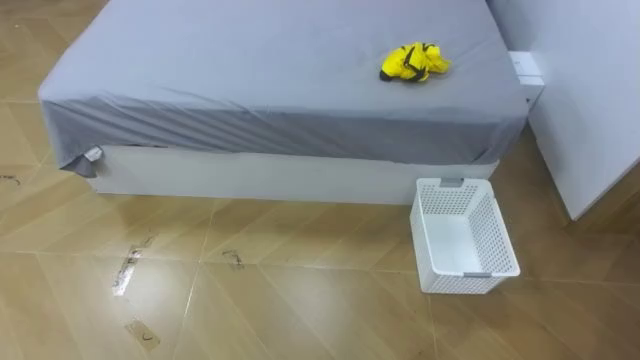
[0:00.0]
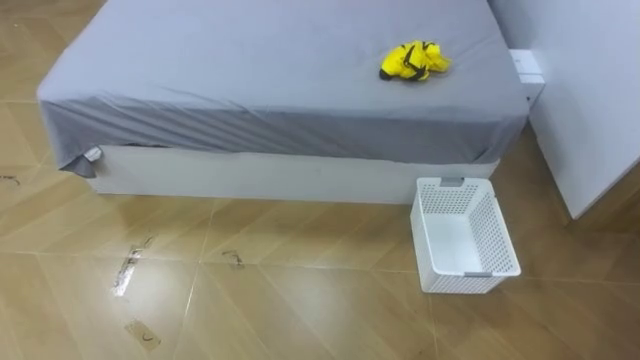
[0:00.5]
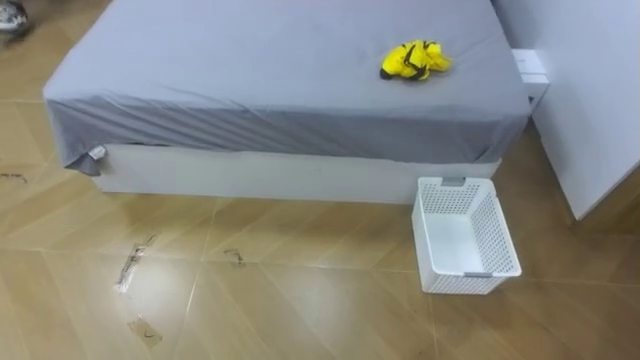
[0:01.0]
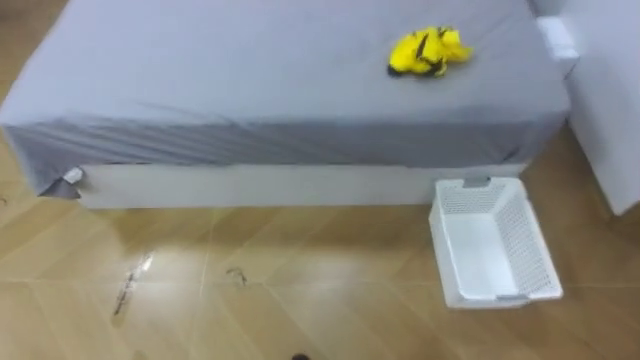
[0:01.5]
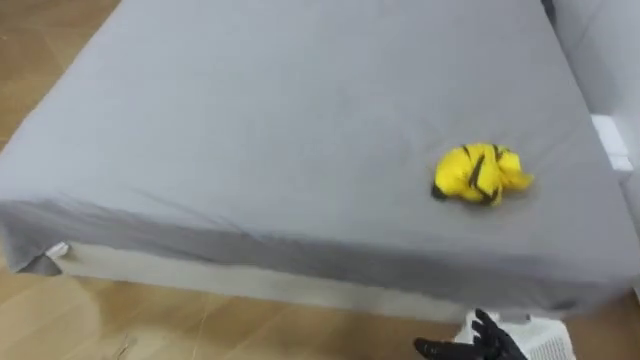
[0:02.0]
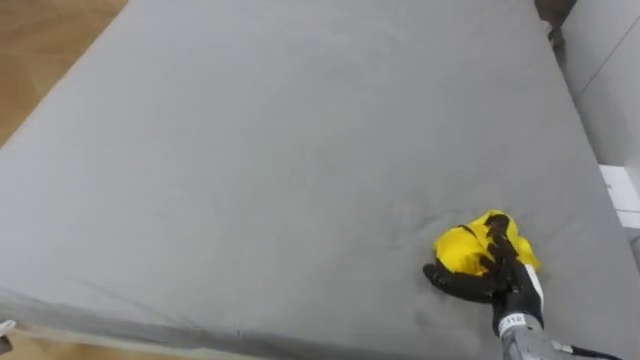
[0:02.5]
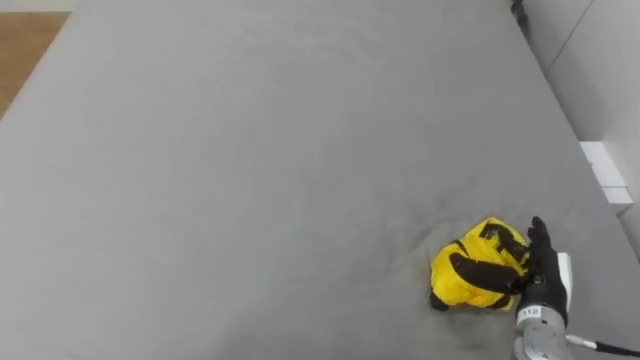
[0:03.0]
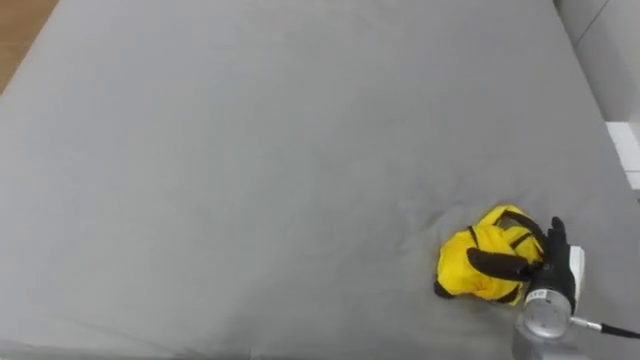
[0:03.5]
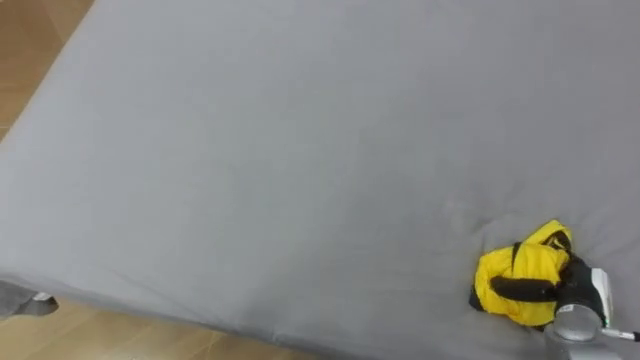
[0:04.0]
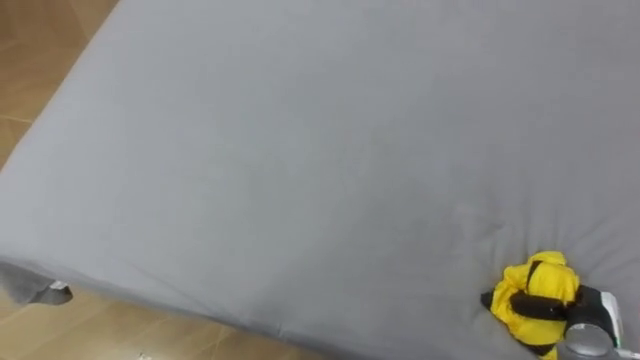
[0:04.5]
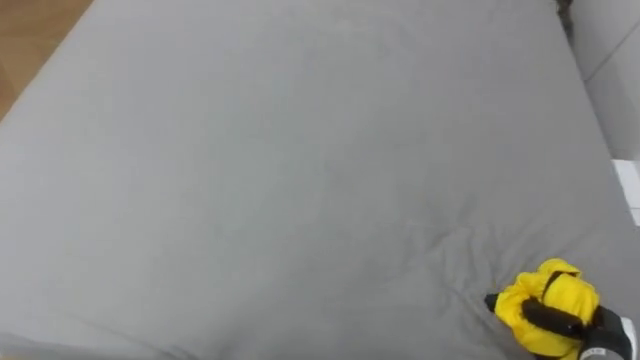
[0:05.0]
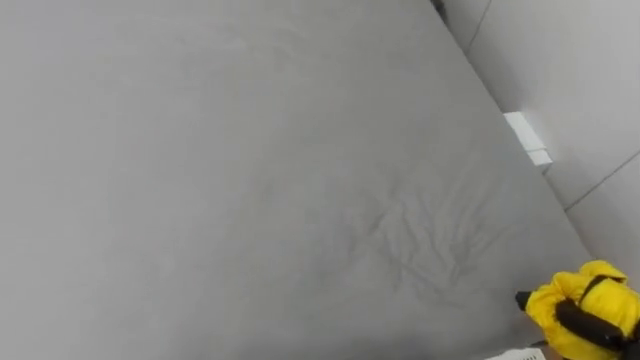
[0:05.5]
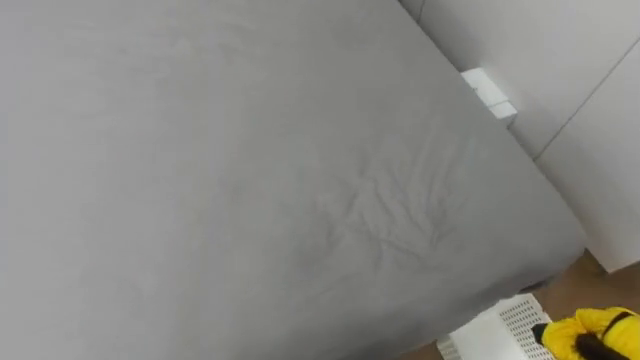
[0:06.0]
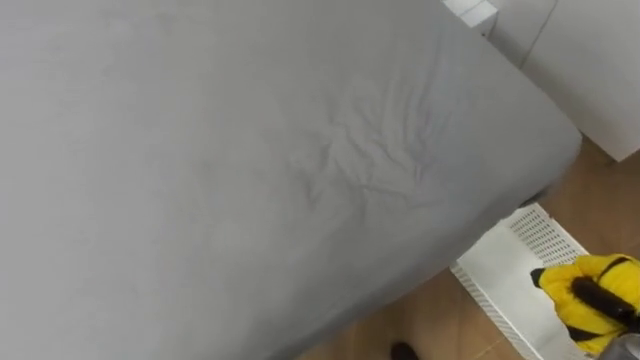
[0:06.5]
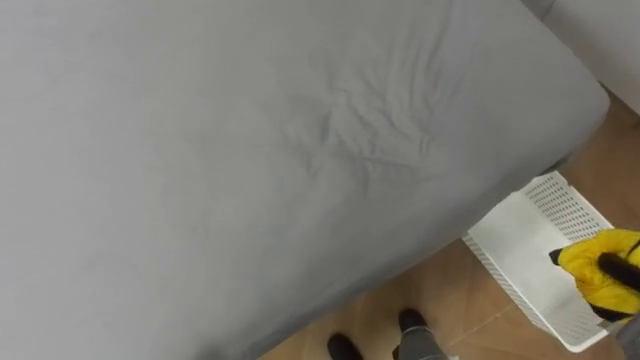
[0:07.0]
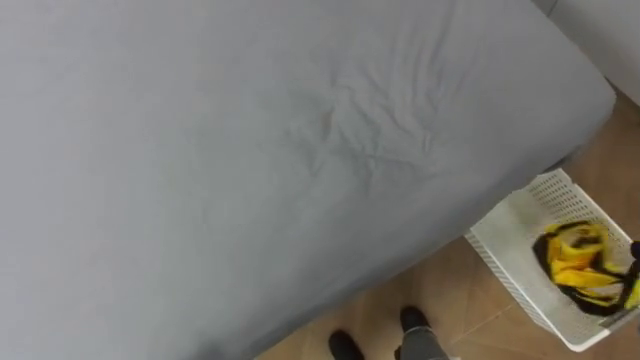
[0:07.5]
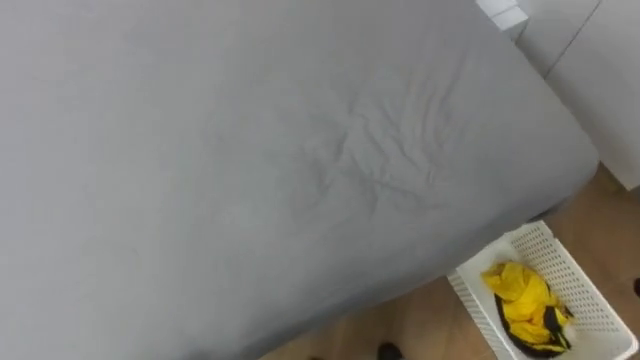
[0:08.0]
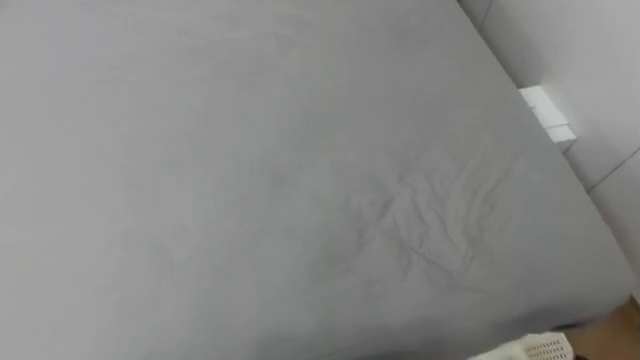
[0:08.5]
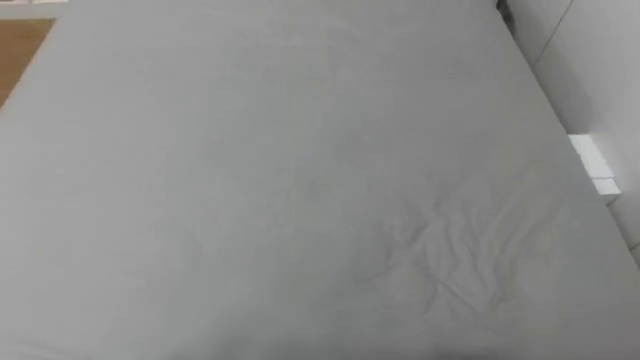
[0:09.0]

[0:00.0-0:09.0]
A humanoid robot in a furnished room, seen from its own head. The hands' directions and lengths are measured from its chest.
Task of the whole recording: Pick up the yellow clothes on the bed and place them into the white basket on the right.
0:07.0 to 0:09.0: The robot faces roughly 20 degrees further to its left.

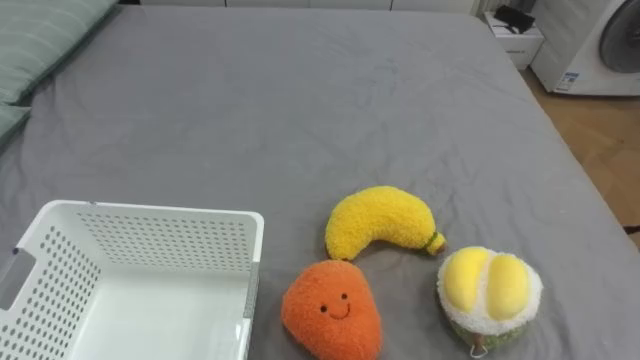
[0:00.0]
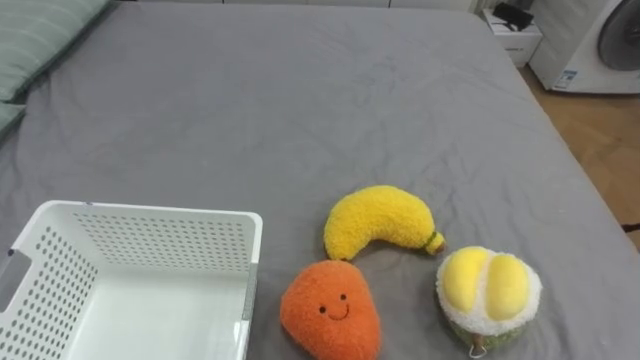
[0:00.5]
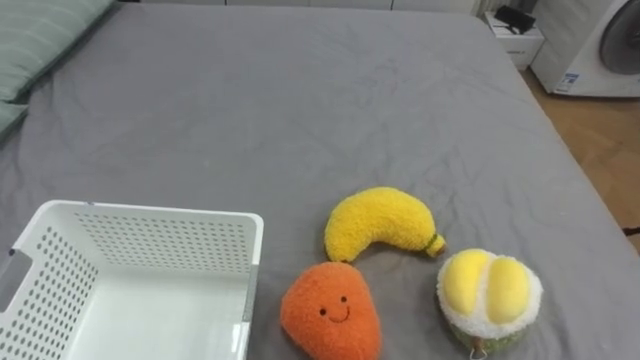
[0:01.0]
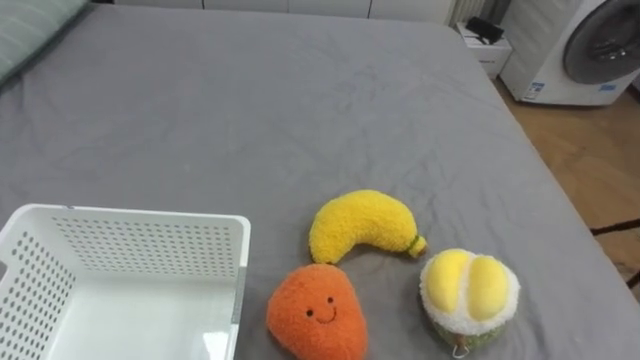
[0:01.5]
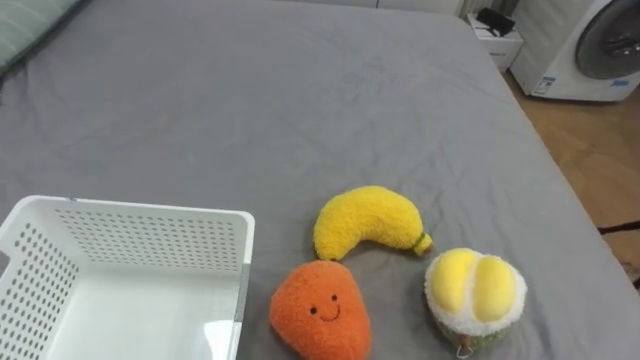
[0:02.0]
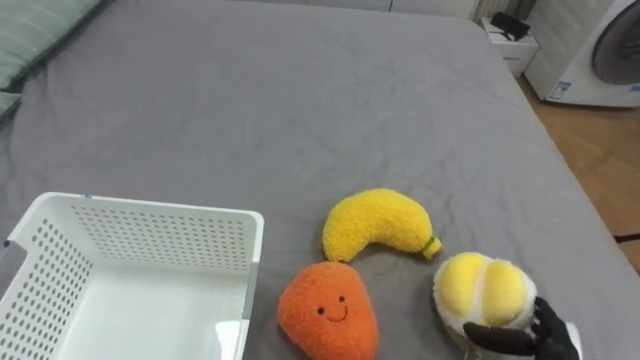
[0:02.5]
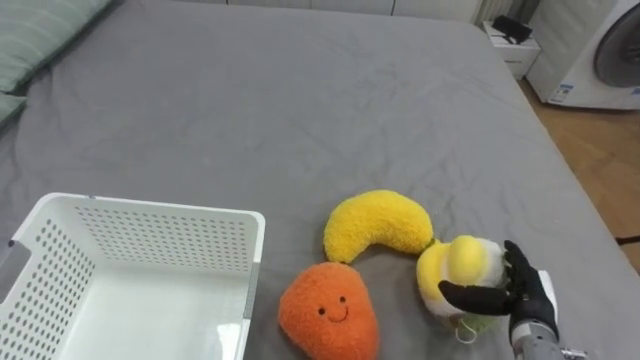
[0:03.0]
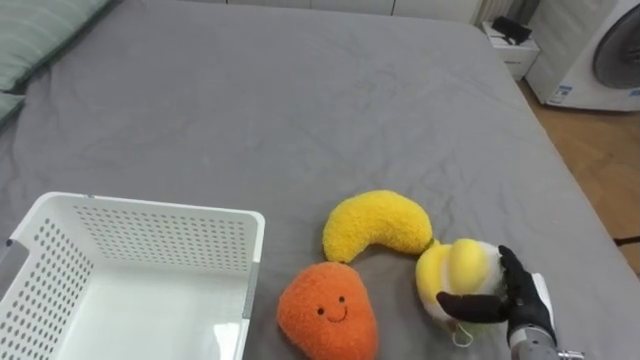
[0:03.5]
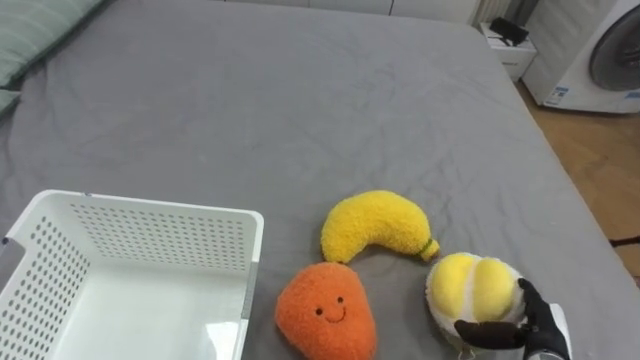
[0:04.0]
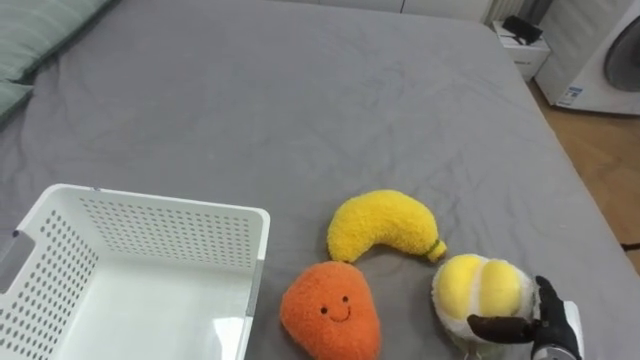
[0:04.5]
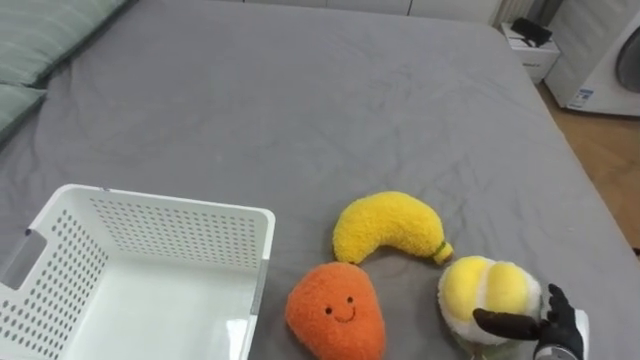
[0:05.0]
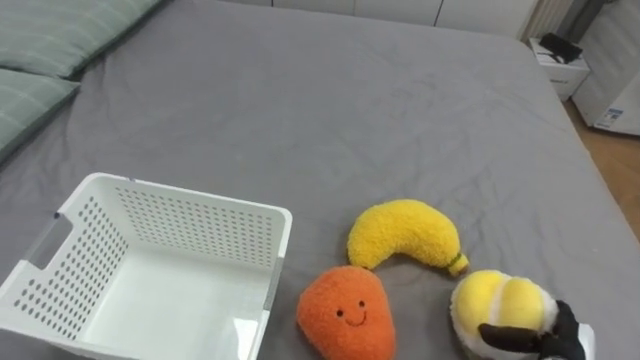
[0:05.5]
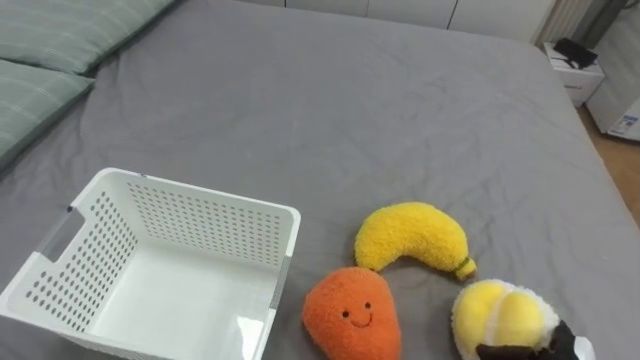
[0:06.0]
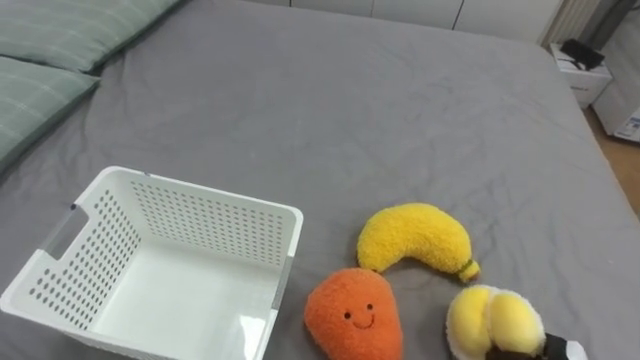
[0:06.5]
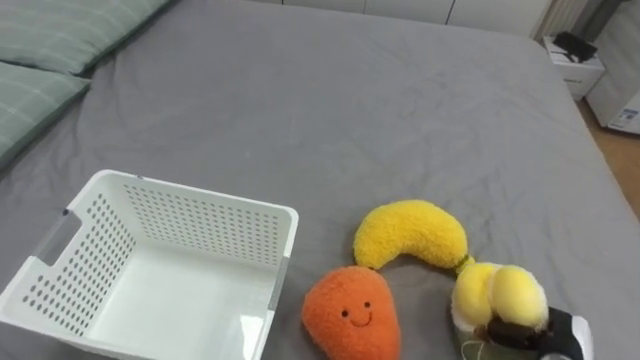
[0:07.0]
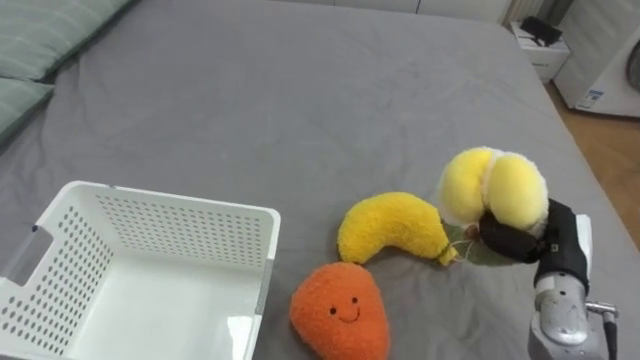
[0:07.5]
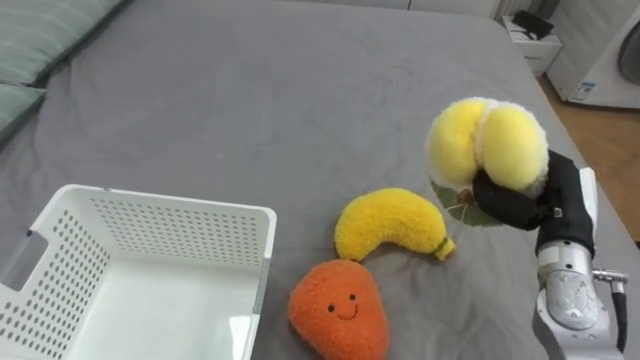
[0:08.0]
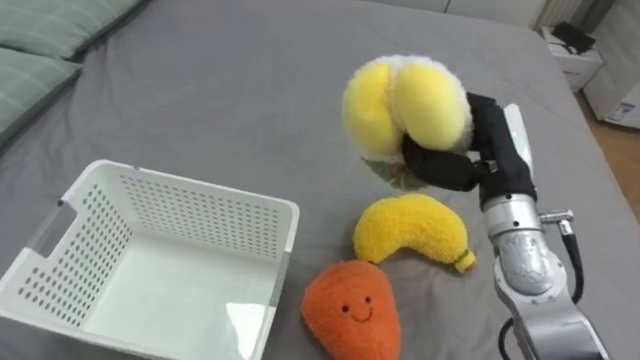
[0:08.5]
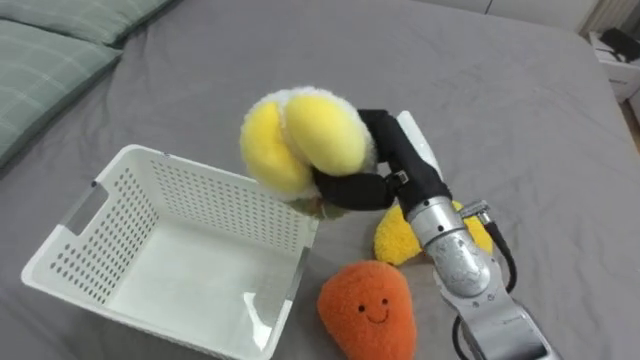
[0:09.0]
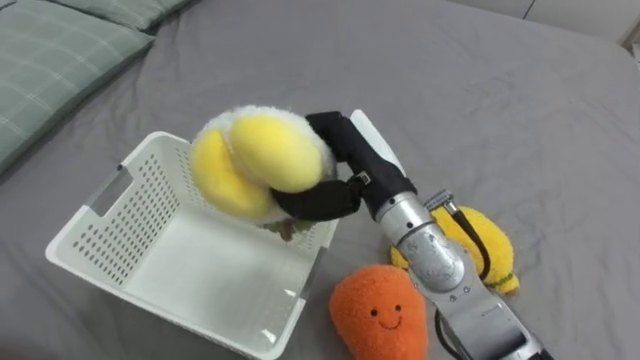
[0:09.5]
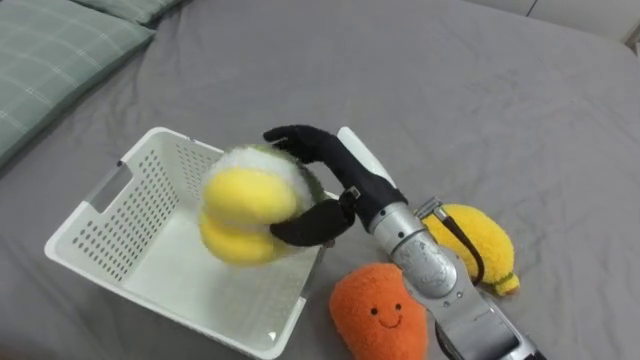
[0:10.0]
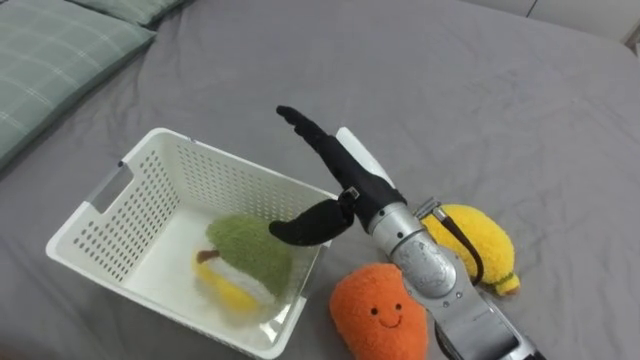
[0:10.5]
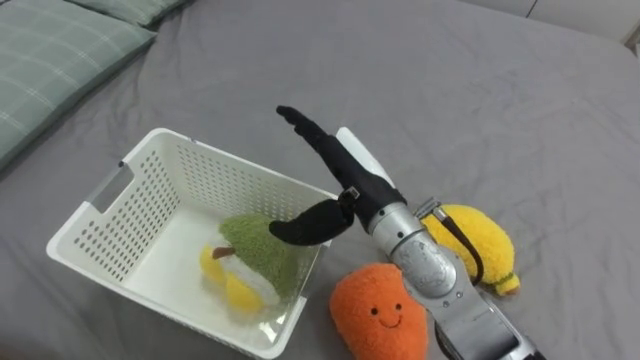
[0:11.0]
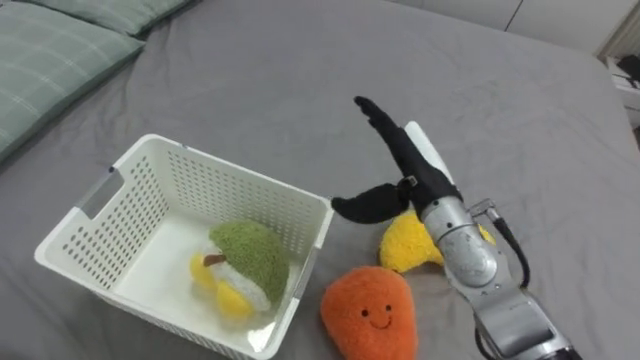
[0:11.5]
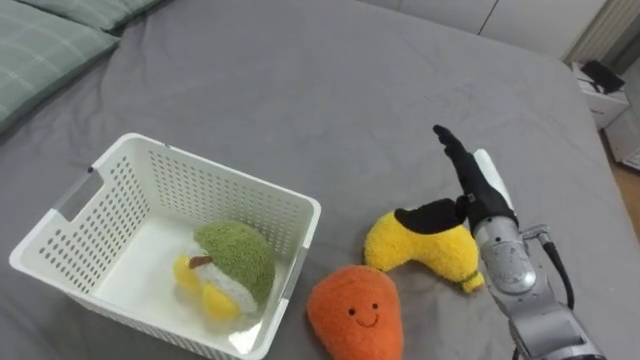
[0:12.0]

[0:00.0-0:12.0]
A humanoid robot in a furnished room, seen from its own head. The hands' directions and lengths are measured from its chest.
Task of the whole recording: Put the toys on the bed into the basket on the left.
0:08.0 to 0:10.0: The right hand travels to the left by roughly 25 cm, and opens its fingers.
0:10.0 to 0:12.0: The right hand travels to the right and downward by approximately 15 cm.
